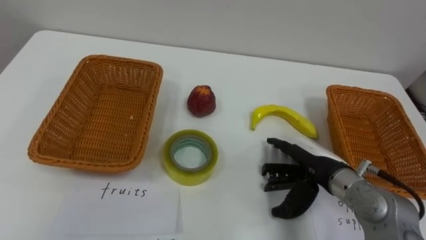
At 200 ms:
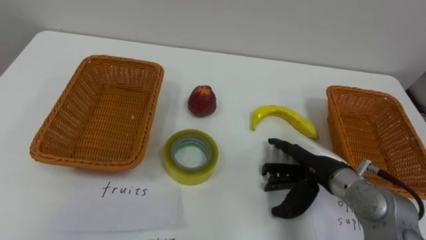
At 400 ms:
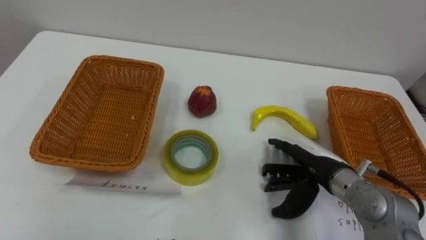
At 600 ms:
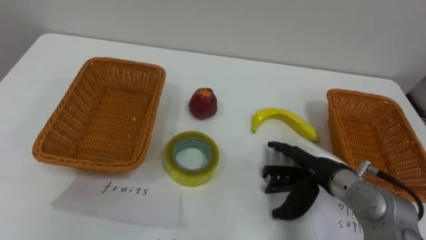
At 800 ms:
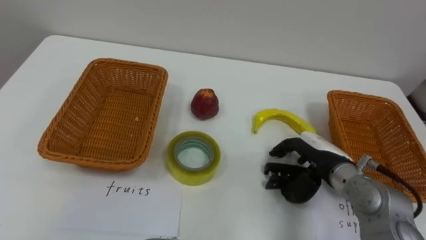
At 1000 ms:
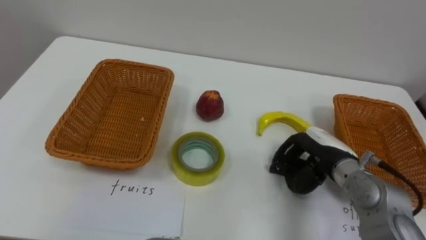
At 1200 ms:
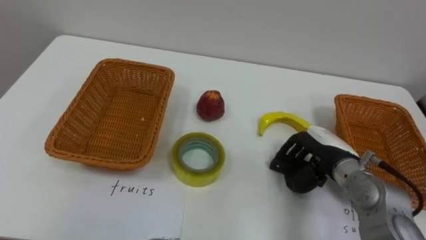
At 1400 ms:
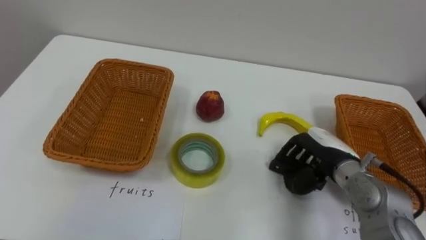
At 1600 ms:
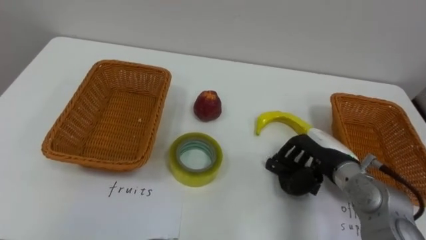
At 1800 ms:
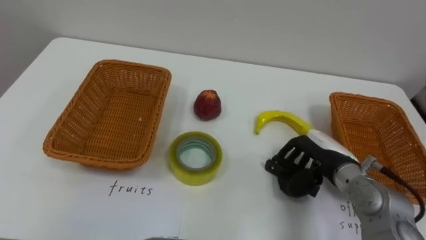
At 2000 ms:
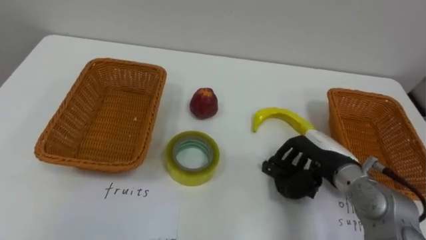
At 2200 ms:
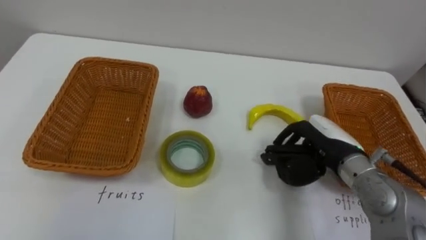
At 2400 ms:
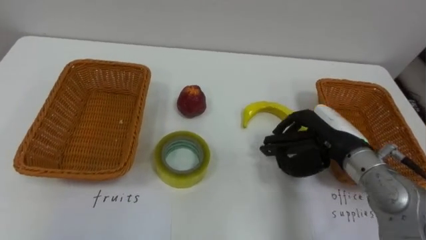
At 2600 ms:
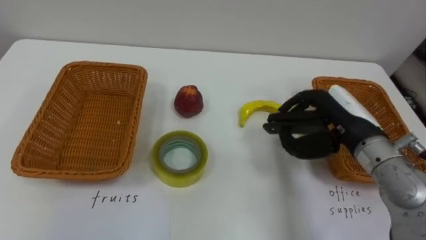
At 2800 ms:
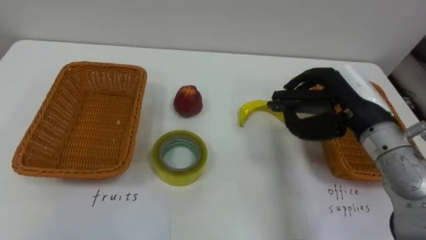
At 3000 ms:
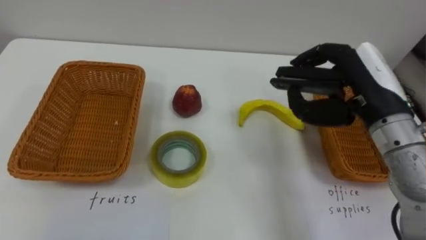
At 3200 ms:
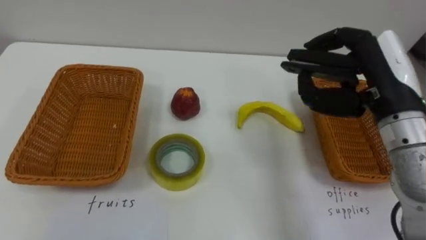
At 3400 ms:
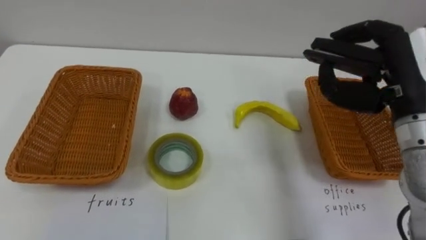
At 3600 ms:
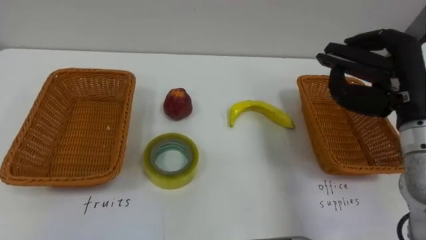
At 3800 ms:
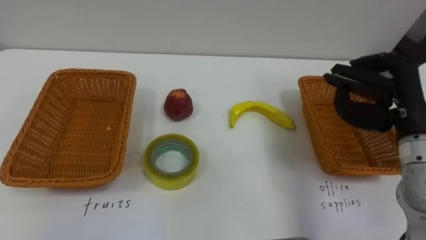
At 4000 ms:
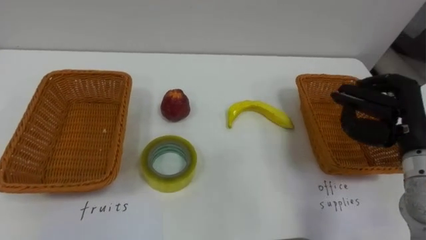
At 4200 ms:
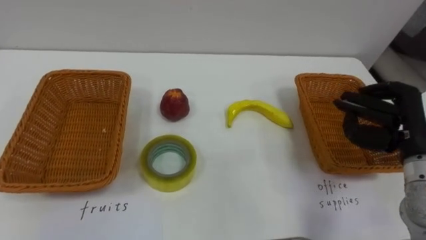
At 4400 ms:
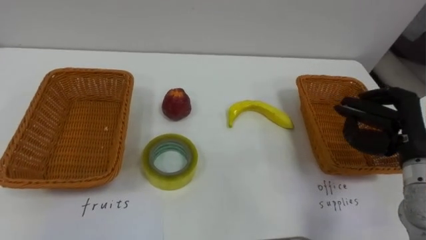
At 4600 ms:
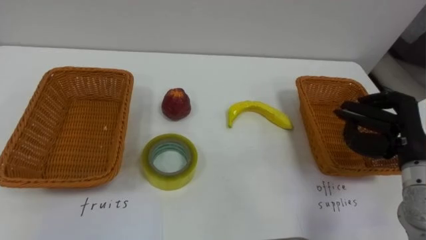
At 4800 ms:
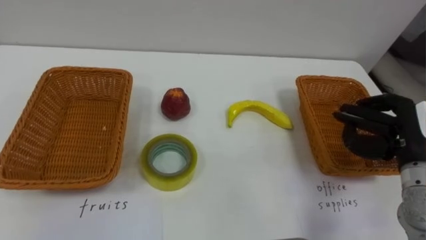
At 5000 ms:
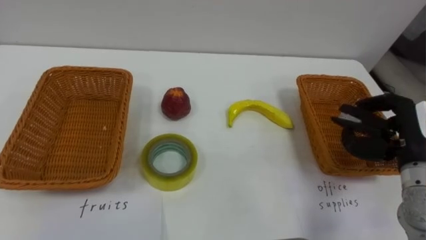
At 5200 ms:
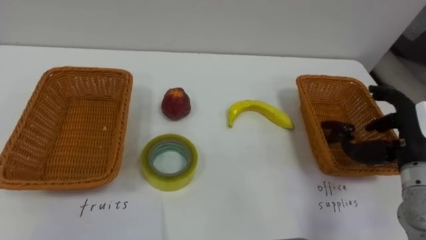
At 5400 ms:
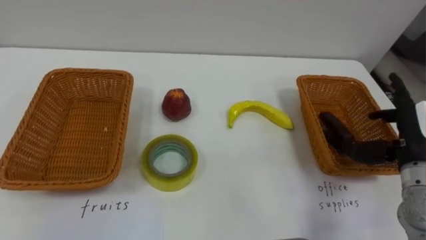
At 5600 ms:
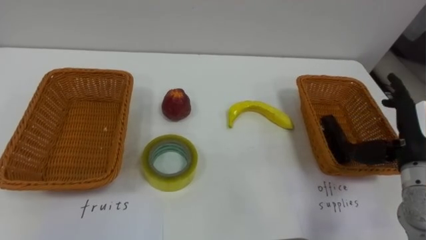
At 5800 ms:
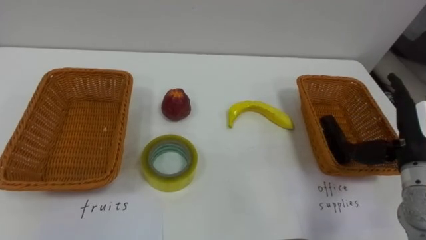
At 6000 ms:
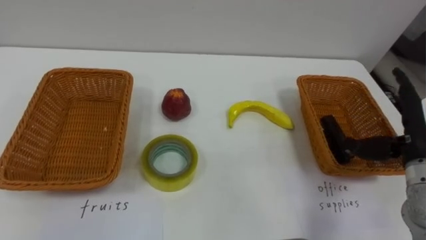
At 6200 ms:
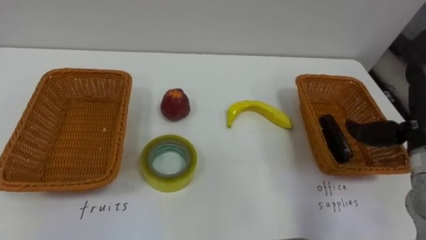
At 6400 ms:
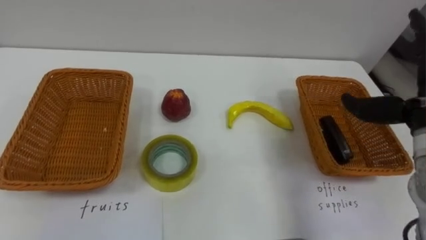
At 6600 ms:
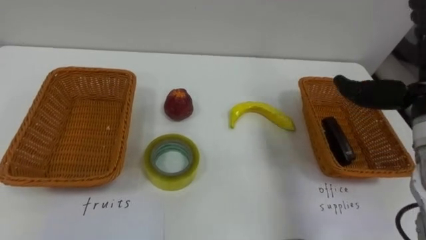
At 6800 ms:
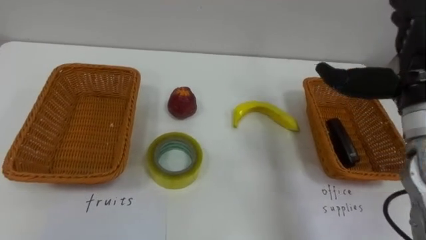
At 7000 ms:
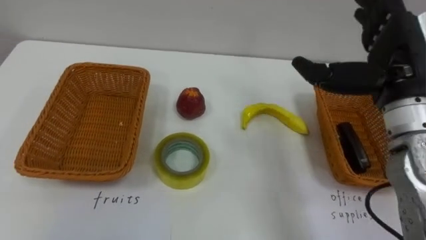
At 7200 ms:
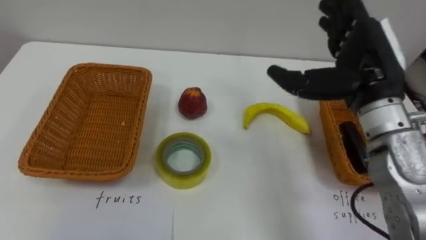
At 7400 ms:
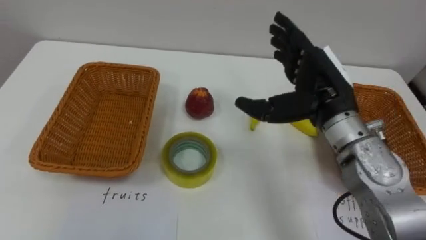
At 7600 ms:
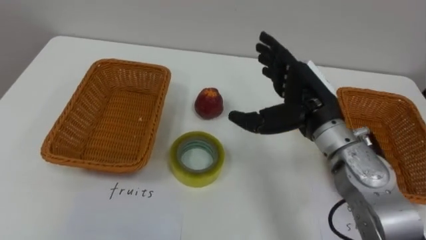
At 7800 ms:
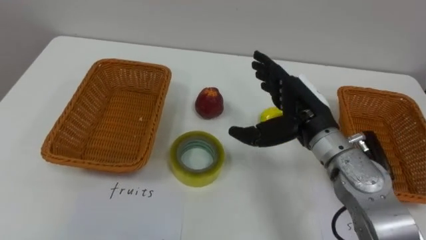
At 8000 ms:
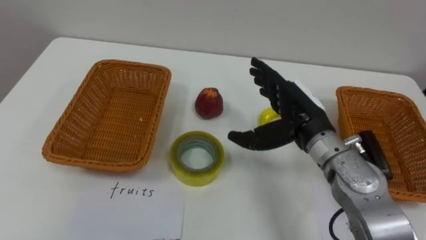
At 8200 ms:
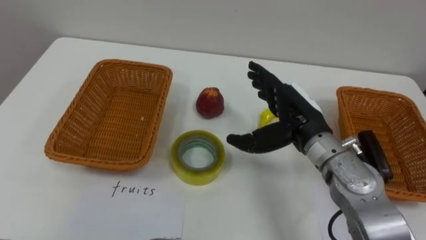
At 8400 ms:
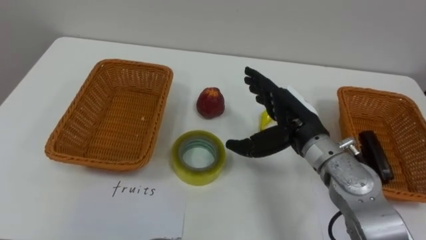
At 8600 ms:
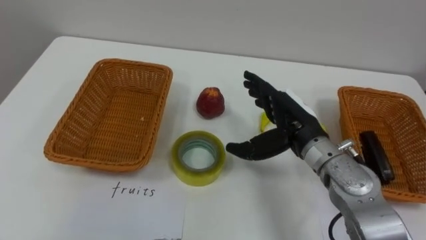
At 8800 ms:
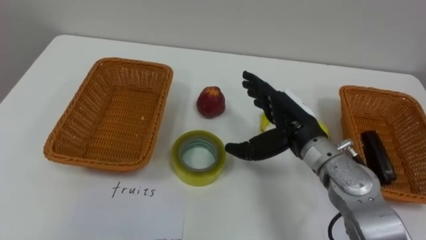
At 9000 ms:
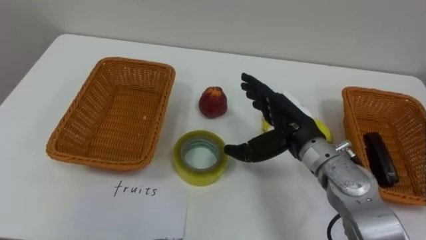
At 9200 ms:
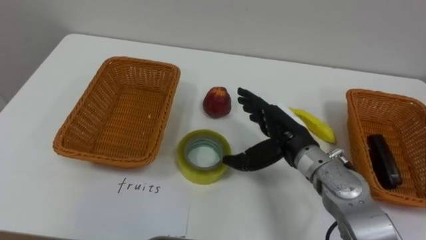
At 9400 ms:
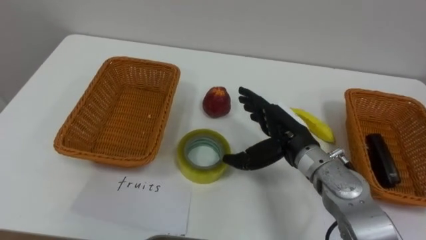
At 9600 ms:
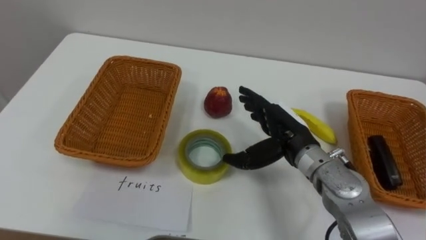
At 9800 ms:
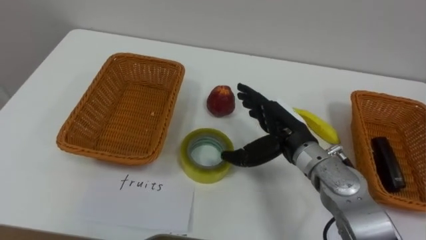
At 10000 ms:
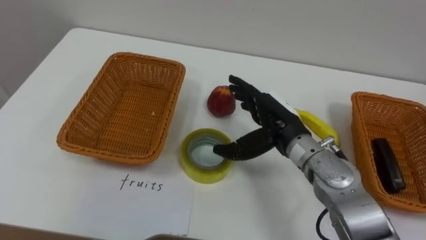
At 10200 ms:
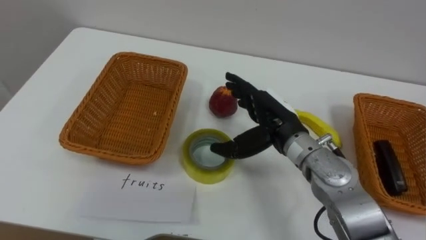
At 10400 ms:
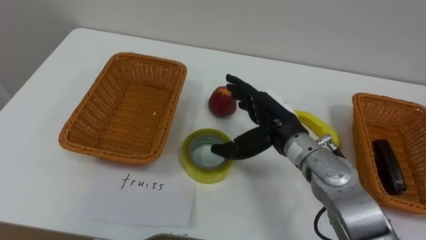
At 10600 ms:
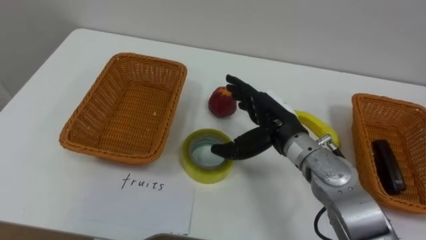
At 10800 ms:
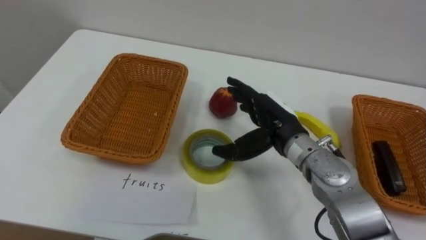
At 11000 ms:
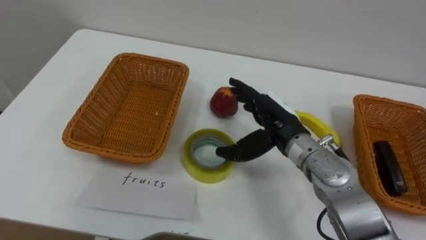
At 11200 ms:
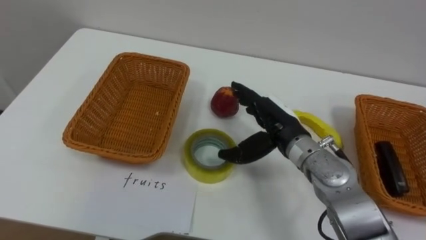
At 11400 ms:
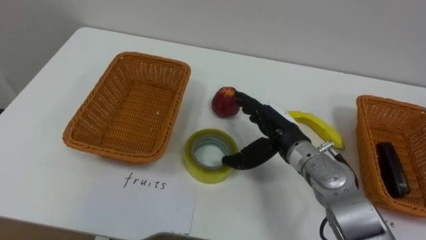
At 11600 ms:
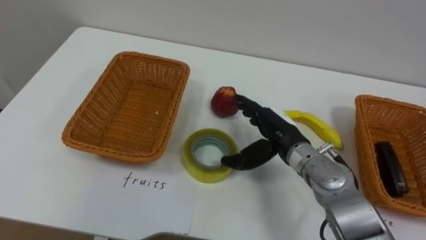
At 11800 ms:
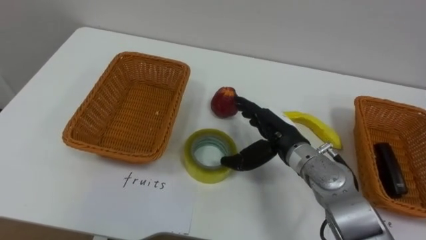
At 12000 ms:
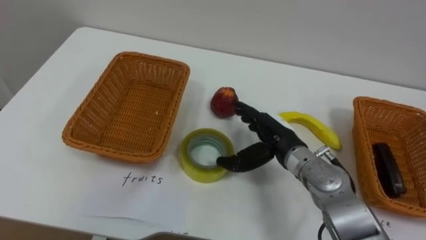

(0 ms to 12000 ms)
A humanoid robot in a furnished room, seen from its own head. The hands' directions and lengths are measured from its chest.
Task of the whole recording: Separate the items on the table and place them into the two baskets.
0 ms - 1600 ms: The right hand closes its fingers.
1600 ms - 3000 ms: The right hand moves upward, roughly 15 cm.
3000 ms - 4400 ms: The right hand shifts approximately 15 cm to the right and downward.
4400 ms - 6000 ms: The right hand opens its fingers.
7600 ms - 9000 ms: The right hand goes some 5 cm downward.

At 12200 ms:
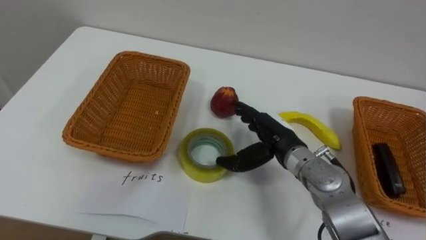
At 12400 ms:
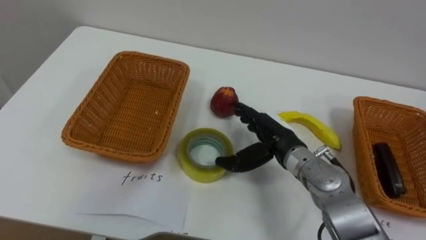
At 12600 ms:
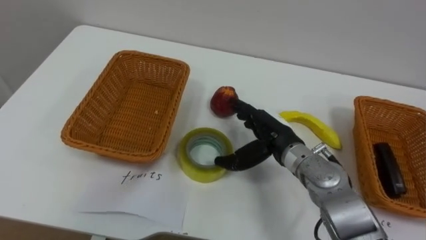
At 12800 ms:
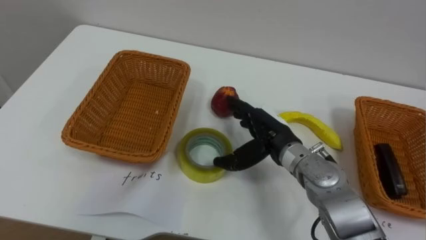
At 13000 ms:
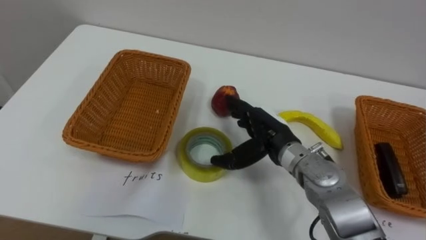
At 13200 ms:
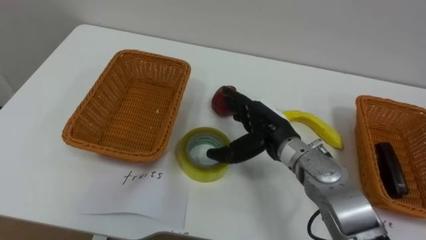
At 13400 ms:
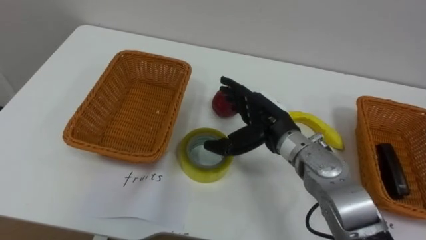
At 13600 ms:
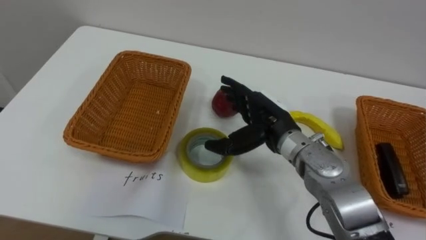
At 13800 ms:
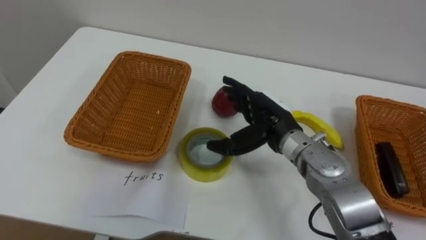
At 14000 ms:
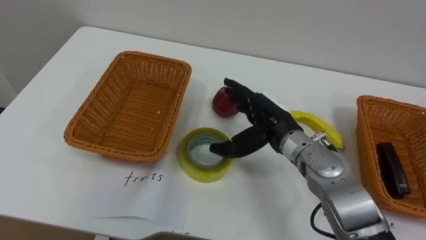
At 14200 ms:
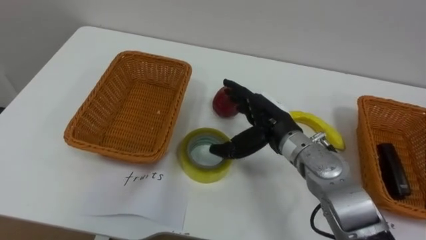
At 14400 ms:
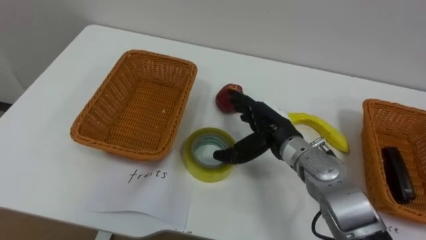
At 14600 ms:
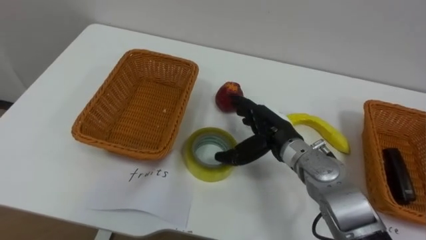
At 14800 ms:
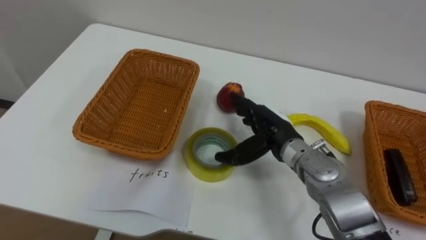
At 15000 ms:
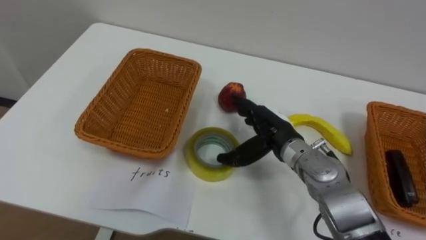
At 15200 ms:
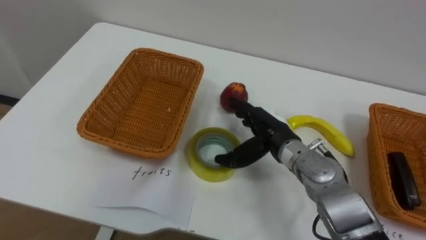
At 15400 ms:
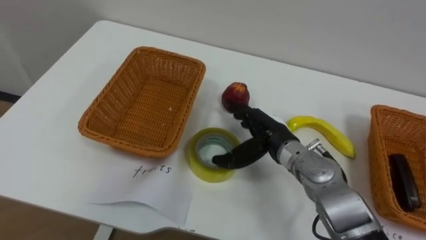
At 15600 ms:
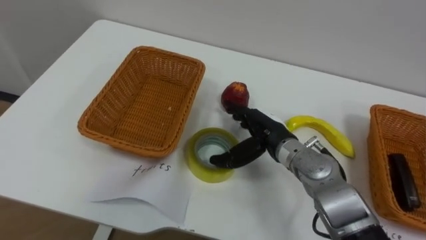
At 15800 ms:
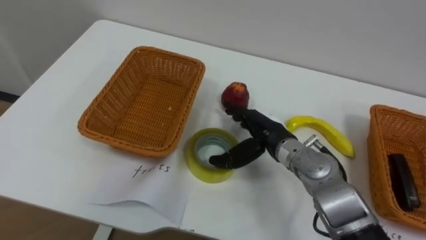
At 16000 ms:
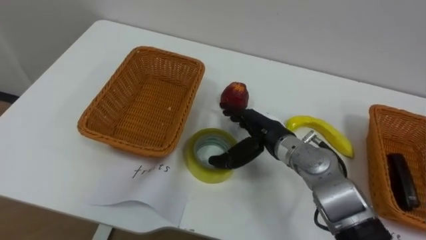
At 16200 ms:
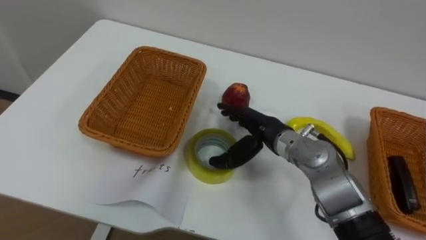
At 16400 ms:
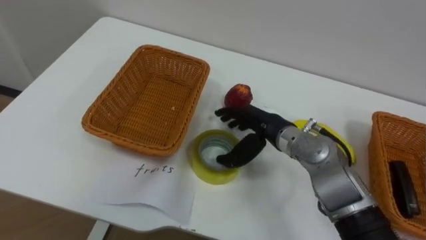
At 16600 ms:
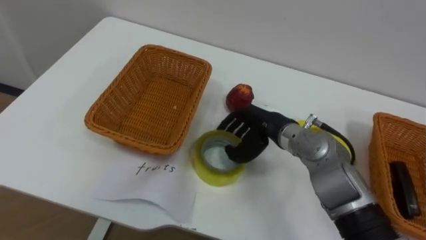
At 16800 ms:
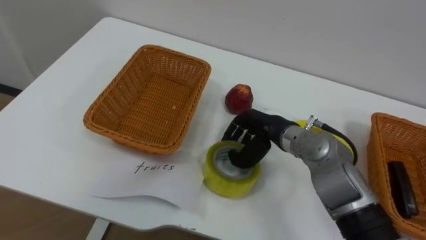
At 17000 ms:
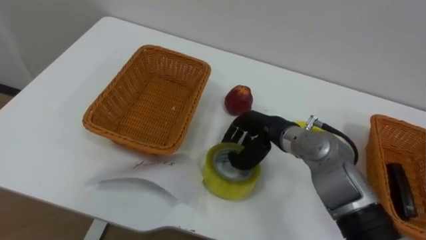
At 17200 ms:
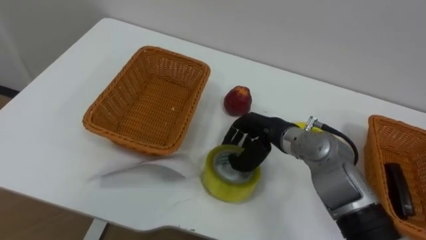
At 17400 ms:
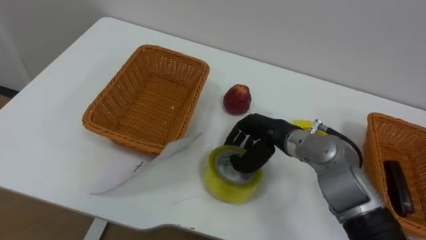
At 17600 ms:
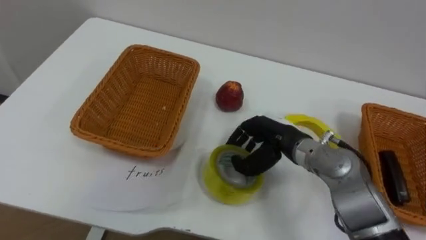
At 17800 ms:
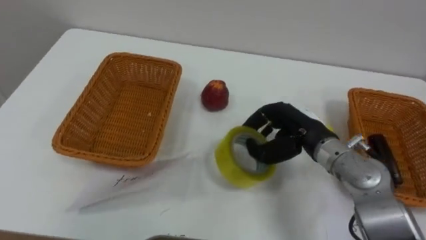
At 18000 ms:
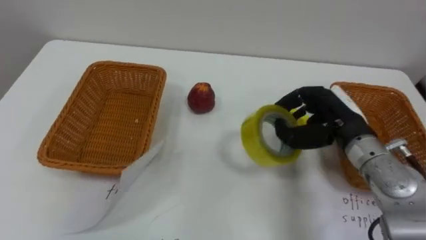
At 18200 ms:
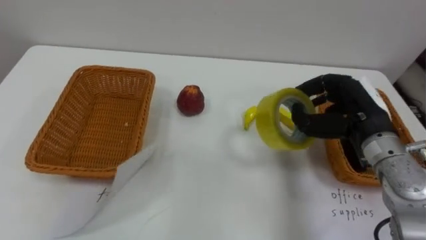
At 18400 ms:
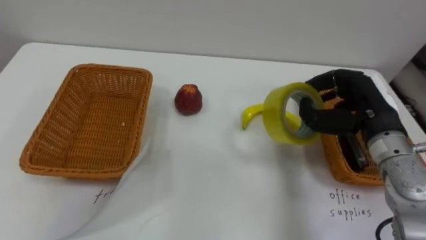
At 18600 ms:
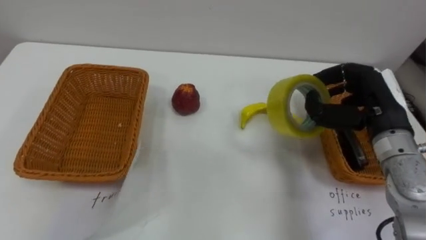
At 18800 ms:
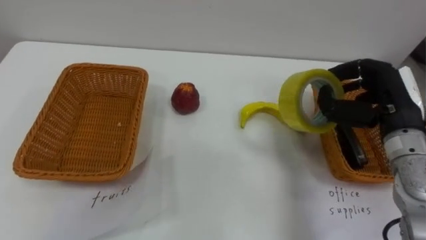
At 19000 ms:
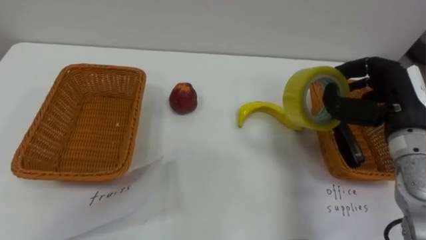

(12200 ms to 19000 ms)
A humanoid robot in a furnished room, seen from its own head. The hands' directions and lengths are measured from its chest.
Task of the whole recording: Separate the items on the table and place them into the two baskets.
16200 ms - 17600 ms: The right hand closes.
17600 ms - 19000 ms: The right hand moves to the right and upward, some 20 cm.
